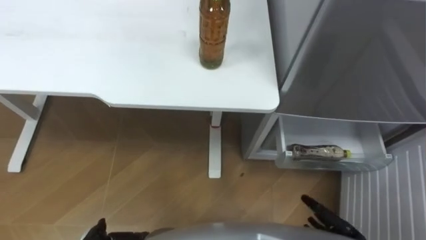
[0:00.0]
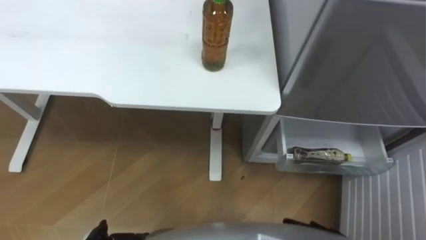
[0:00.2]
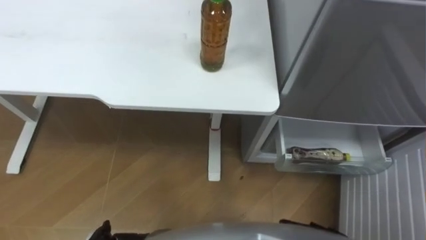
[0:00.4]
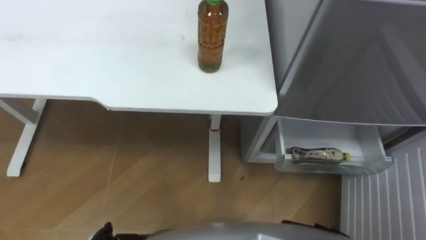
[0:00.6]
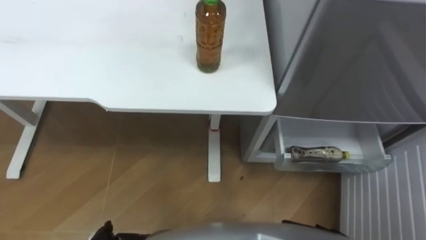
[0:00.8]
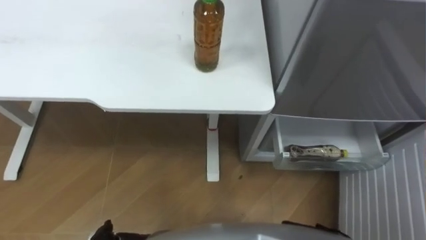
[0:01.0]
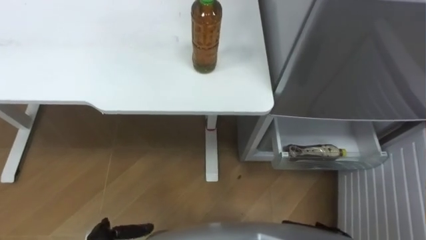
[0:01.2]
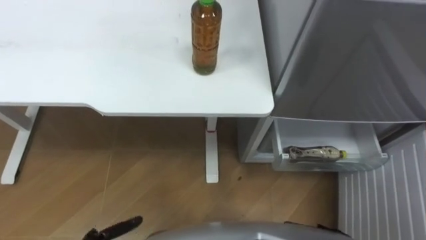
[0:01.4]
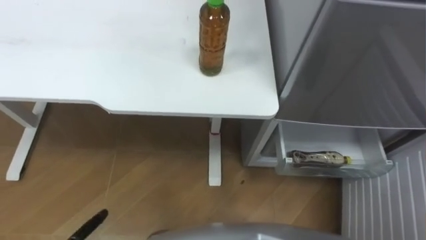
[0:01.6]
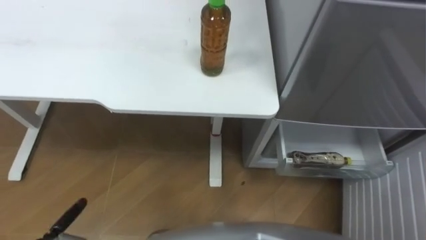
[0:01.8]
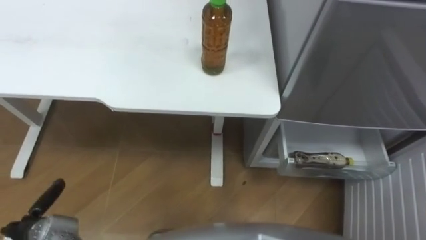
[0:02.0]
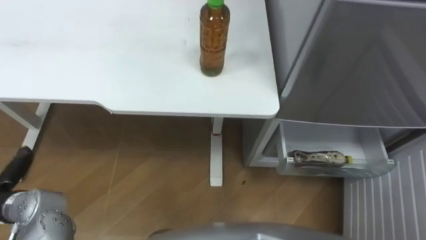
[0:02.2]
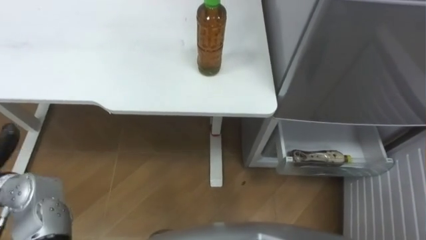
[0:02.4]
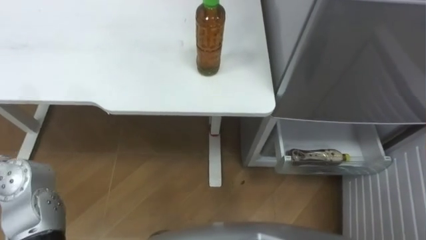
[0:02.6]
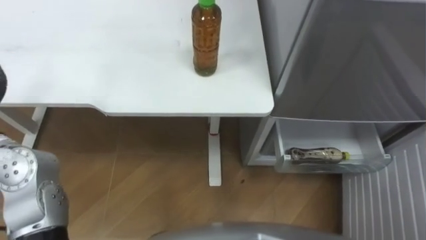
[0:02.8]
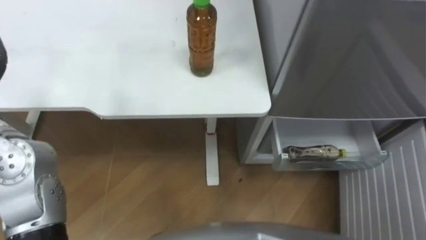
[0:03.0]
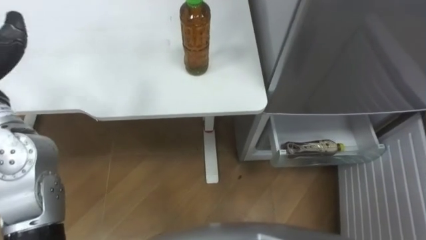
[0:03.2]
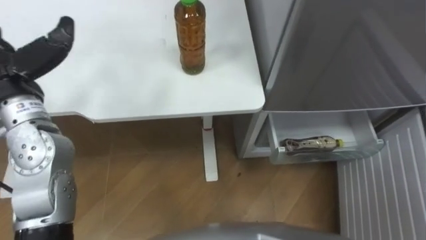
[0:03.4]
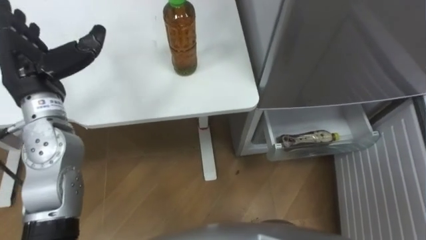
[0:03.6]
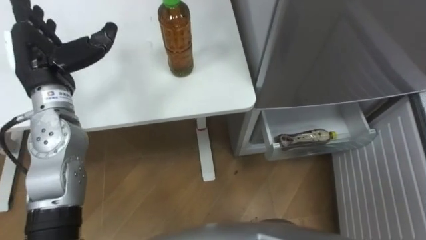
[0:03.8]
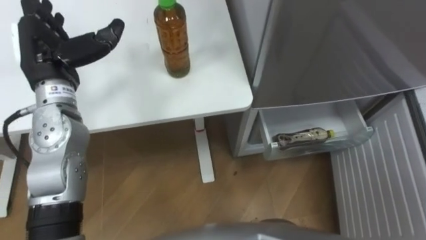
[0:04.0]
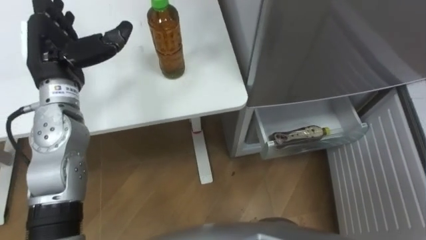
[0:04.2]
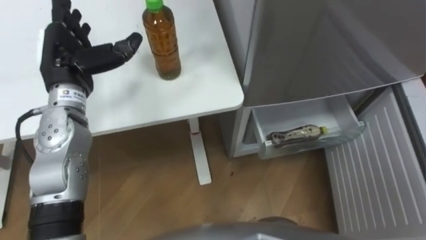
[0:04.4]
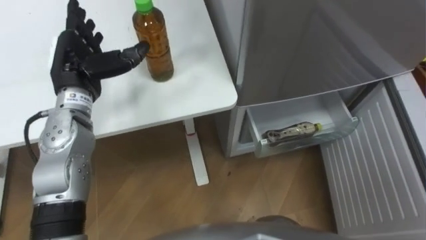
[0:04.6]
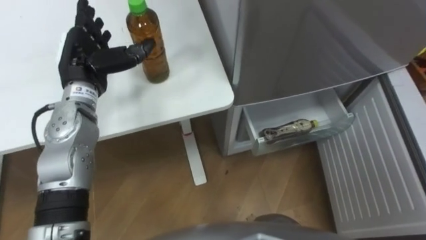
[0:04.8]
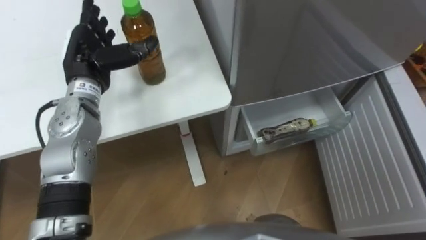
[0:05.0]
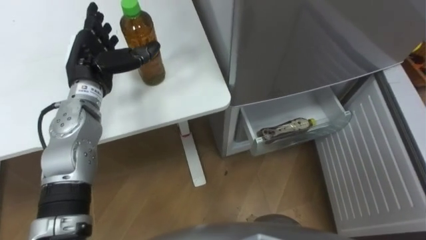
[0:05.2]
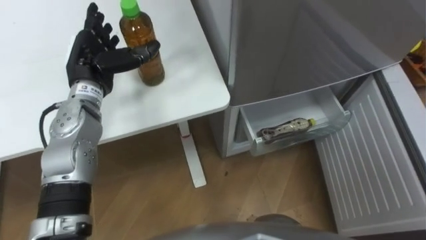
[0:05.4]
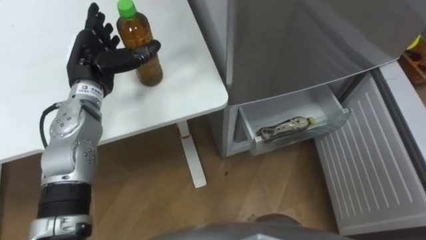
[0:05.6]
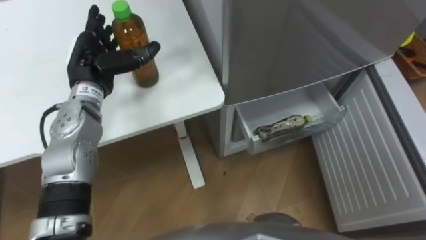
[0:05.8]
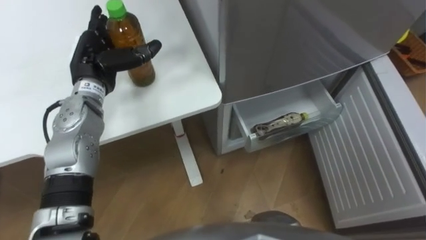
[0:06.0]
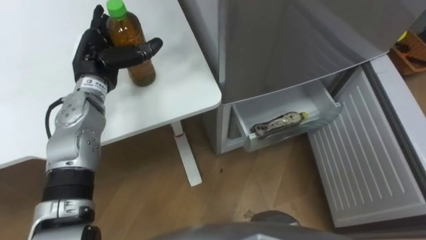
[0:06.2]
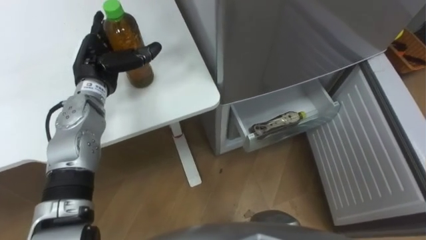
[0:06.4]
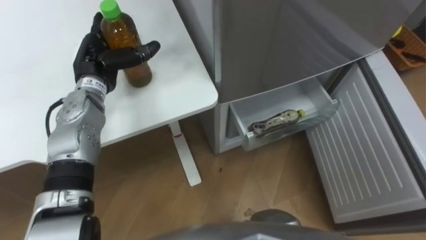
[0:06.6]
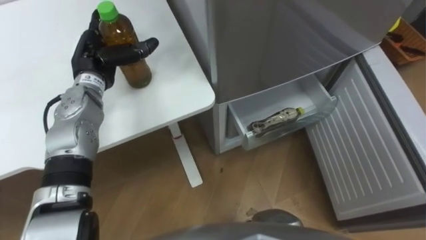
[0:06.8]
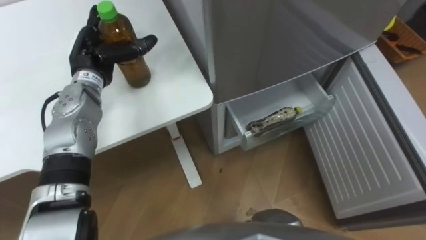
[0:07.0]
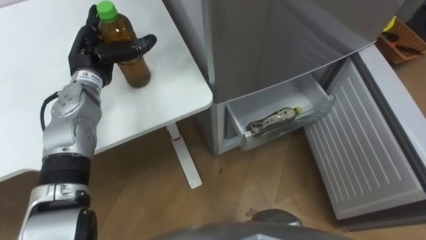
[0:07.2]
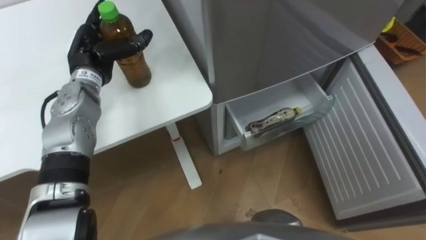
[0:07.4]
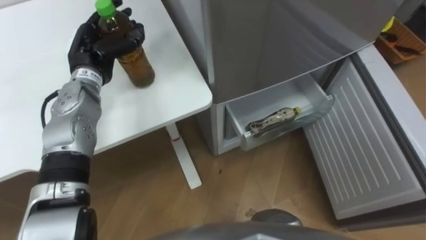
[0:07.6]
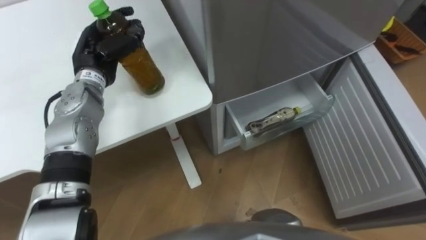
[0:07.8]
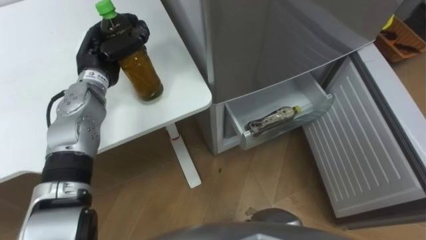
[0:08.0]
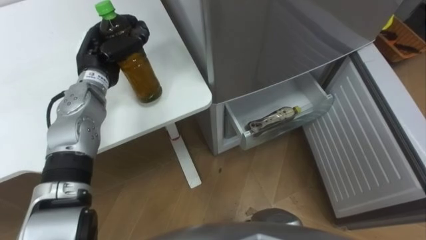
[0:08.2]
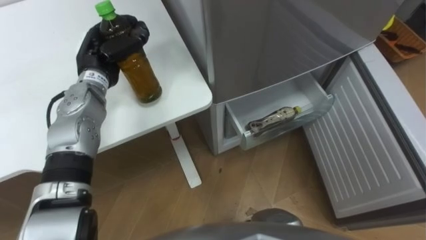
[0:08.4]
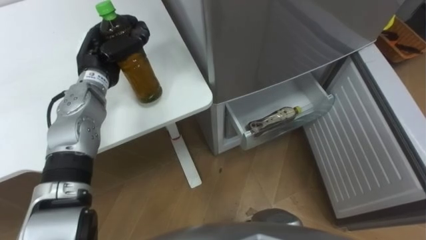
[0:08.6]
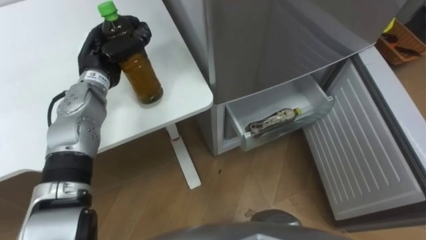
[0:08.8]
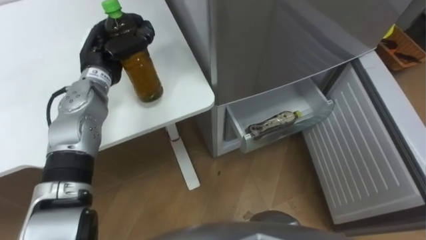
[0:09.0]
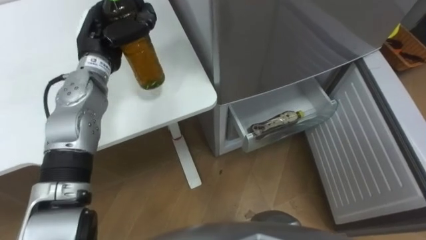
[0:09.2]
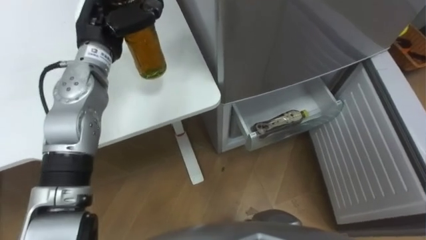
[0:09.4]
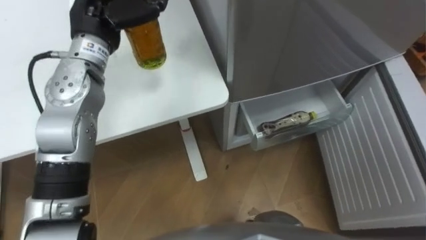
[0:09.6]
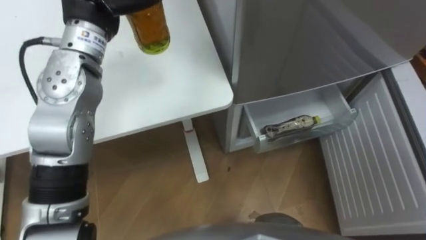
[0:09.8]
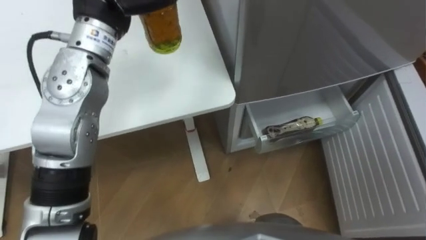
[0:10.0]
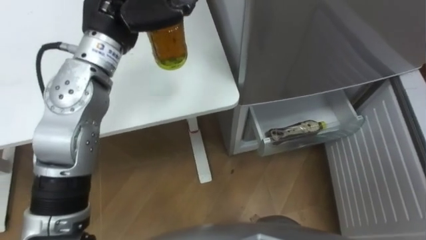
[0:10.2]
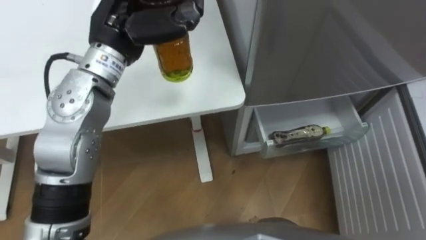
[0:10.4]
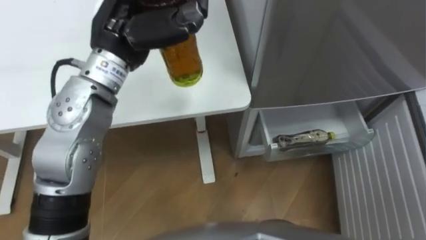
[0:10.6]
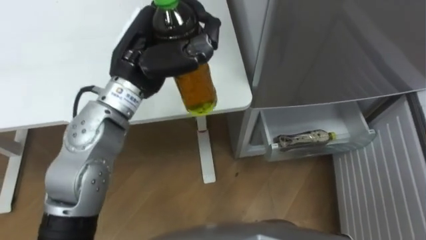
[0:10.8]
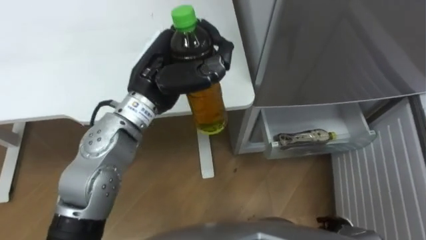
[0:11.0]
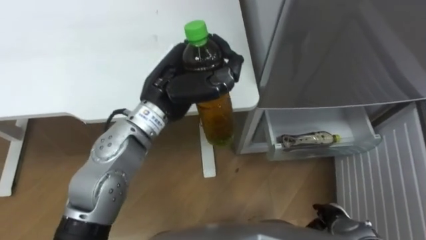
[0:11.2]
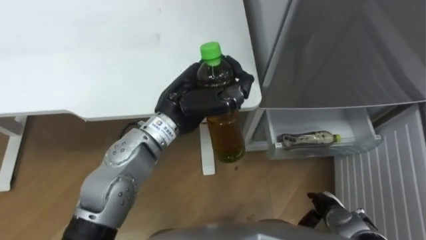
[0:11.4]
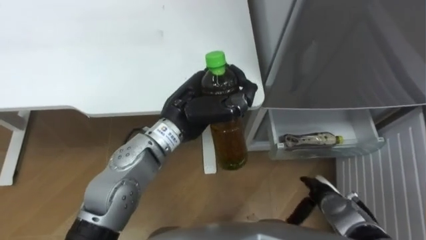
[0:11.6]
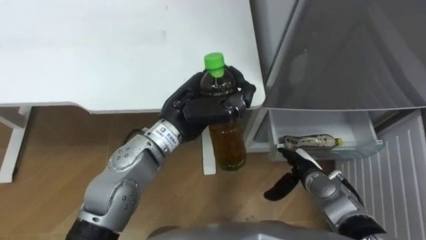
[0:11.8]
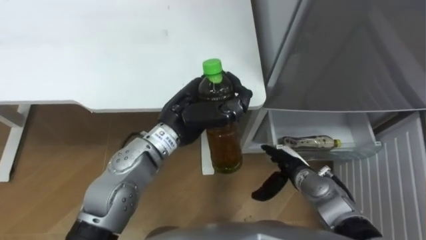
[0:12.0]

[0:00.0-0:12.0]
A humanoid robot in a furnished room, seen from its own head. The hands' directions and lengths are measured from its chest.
Task of the whole recording: Place the drink on the table on the bottom shelf of the refrigerator, then close the drawer and the refrigerator door.
0:04.4 to 0:06.0: The left hand ends up roughly 5 cm from where it was.
0:06.0 to 0:07.6: The left hand closes up.
0:07.6 to 0:09.0: The left hand closes.
0:10.4 to 0:12.0: The left hand heads downward, to the right and backward, covering roughly 15 cm.

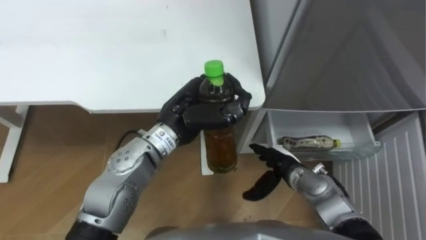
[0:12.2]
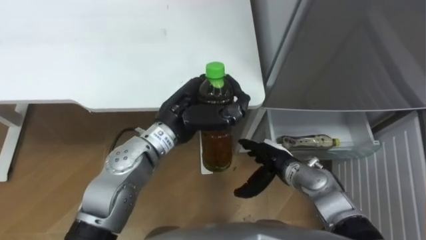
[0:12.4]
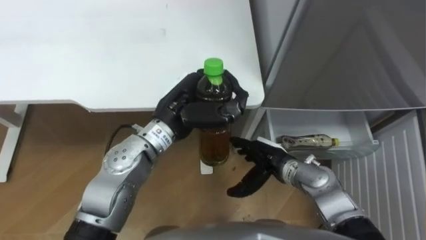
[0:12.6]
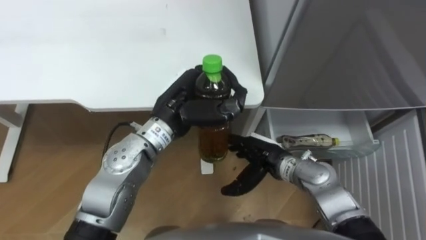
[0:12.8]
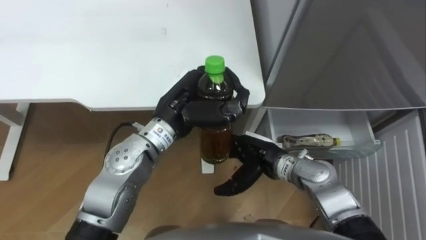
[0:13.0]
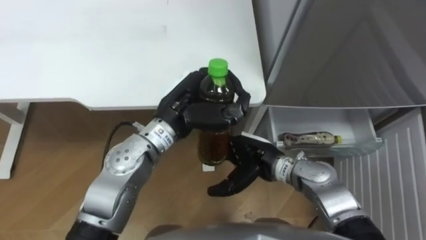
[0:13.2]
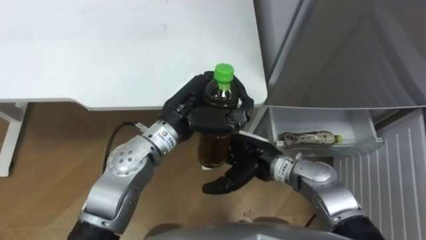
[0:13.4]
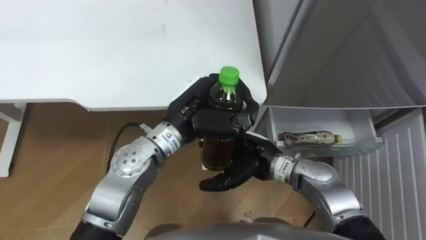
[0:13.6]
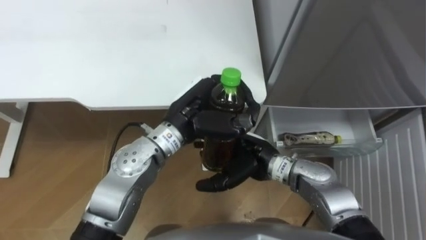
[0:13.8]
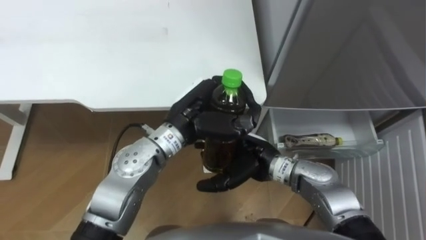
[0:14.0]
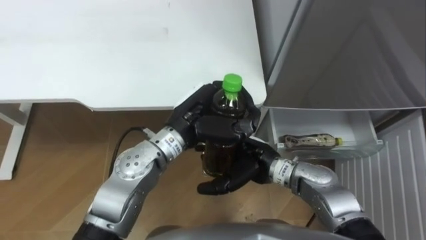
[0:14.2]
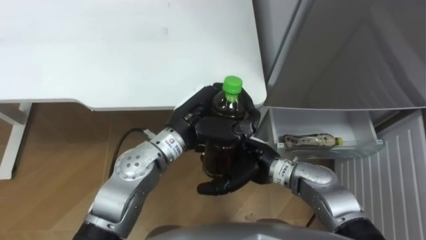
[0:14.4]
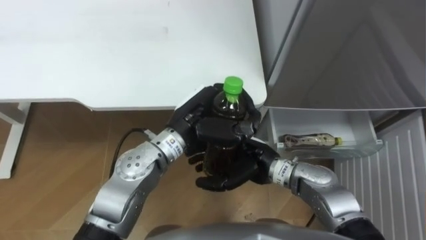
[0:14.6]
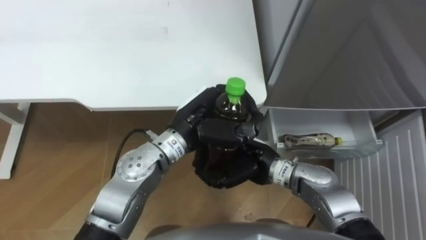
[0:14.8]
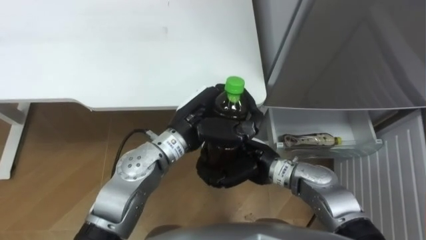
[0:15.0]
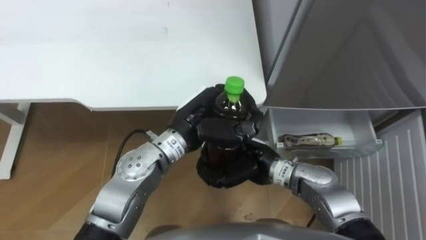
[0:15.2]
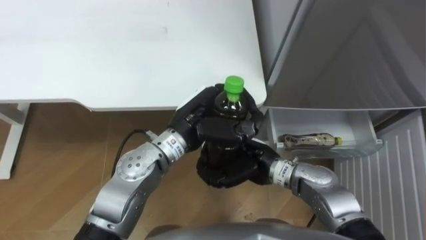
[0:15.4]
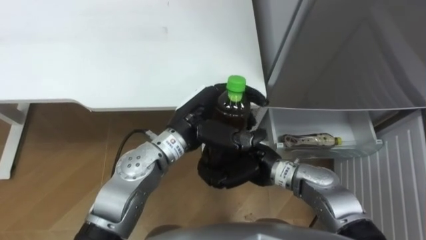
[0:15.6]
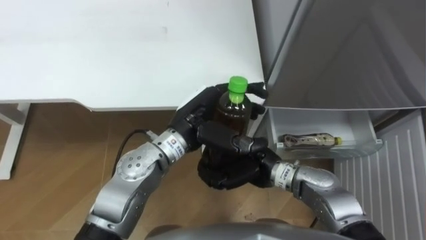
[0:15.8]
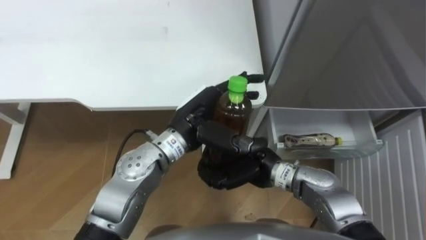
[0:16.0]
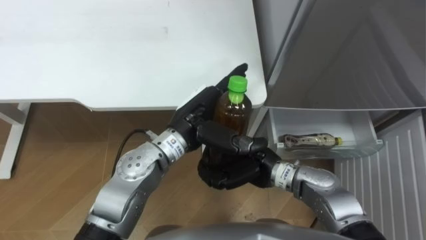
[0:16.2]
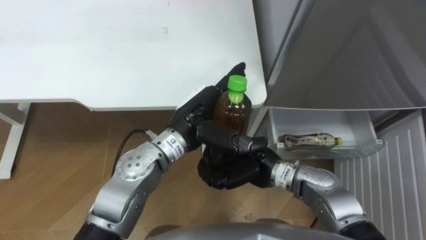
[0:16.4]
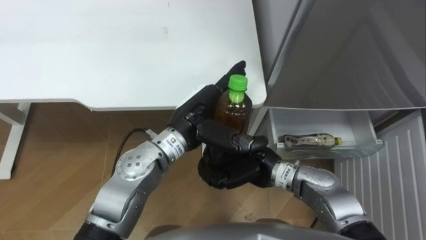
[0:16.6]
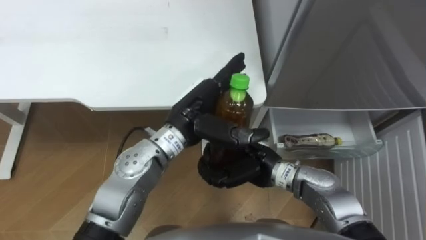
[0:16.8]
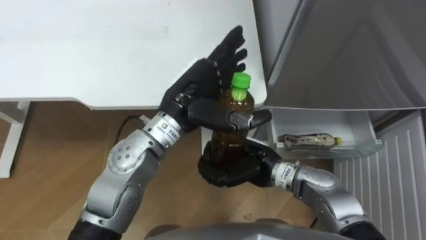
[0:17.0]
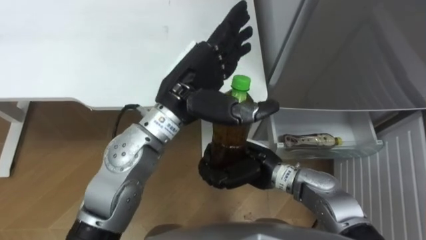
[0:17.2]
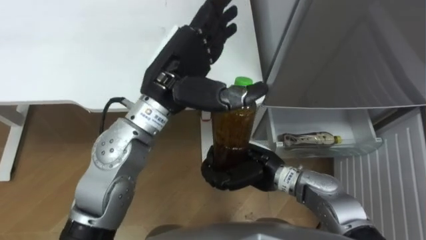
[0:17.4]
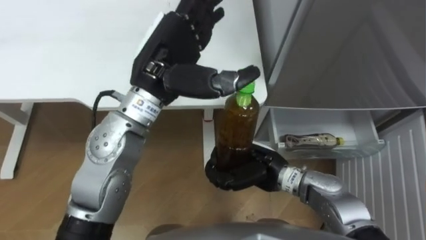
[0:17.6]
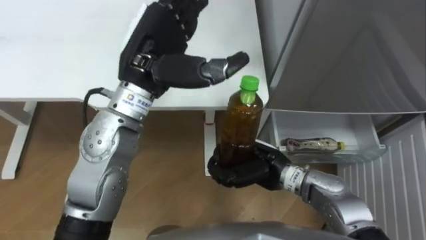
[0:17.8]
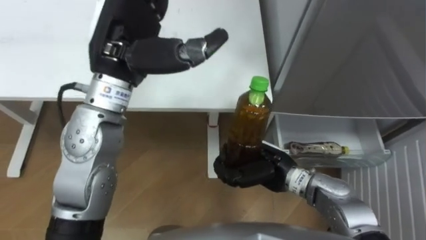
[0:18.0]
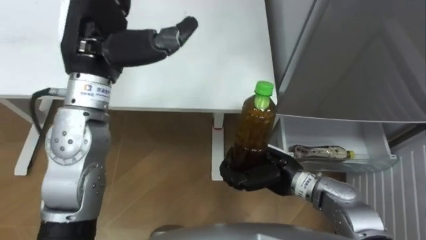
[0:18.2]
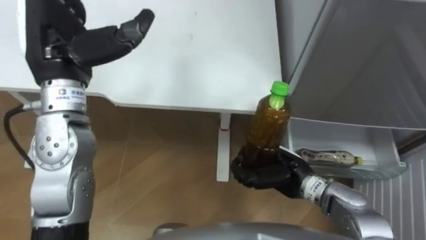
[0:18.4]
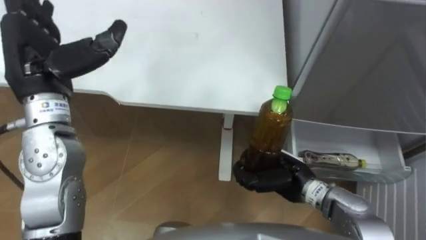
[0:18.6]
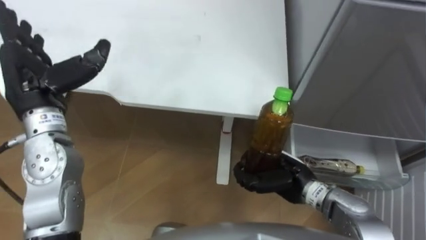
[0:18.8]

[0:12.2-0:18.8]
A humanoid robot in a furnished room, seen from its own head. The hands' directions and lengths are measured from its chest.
Task of the whole recording: Place the drink on the table on the bottom shelf of the refrigerator, then close the drawer and the refrigerator door.
0:12.2 to 0:13.8: The right hand heads upward and to the left, covering about 10 cm.
0:13.8 to 0:15.4: The right hand closes.
0:15.4 to 0:17.2: The left hand heads upward, covering roughly 10 cm, and opens its fingers.
0:17.2 to 0:18.8: The left hand is displaced to the left by some 25 cm. The right hand heads to the right, covering about 10 cm.
